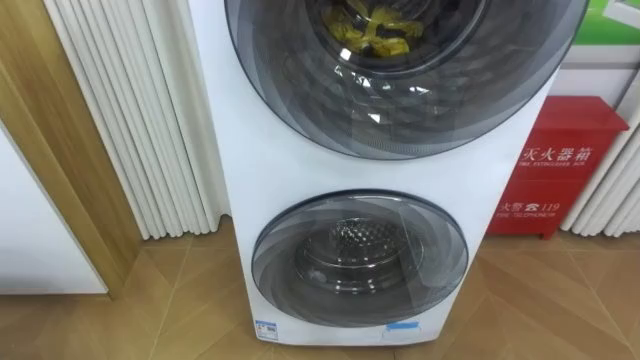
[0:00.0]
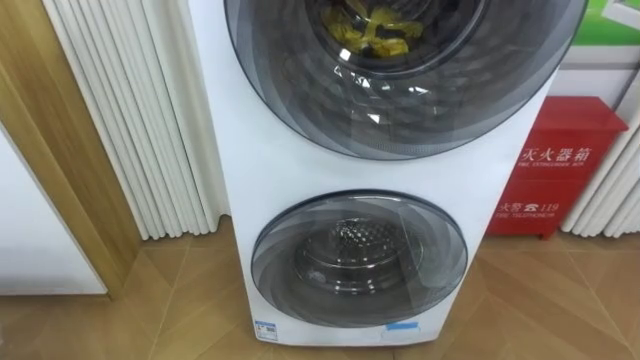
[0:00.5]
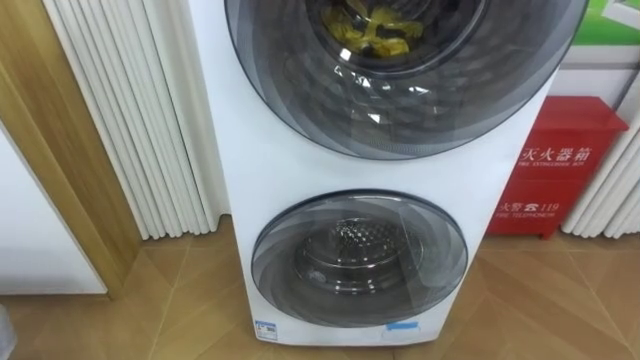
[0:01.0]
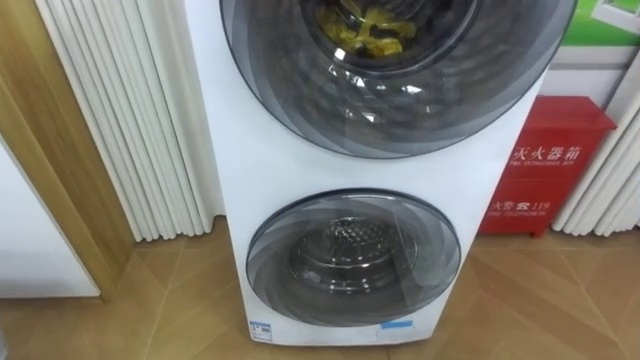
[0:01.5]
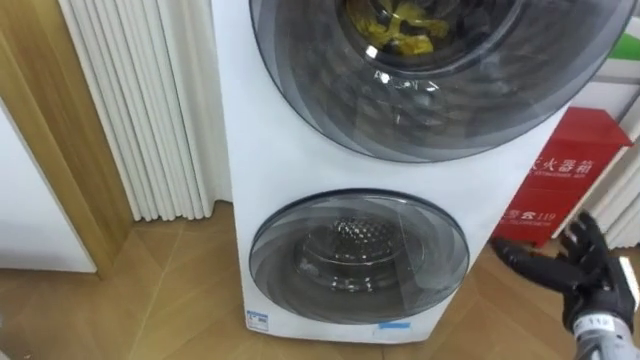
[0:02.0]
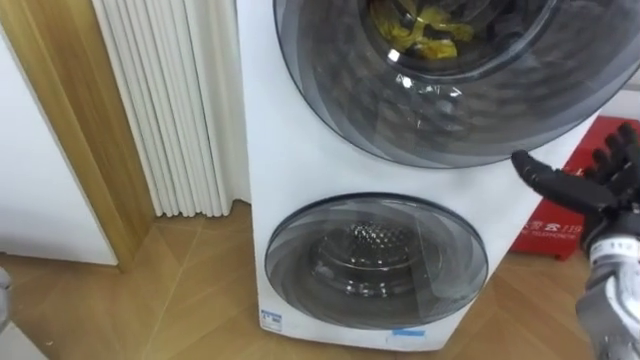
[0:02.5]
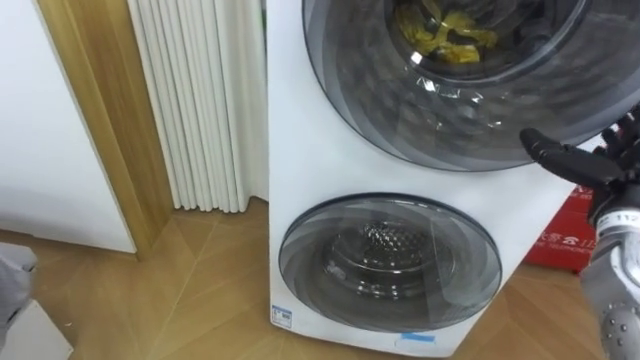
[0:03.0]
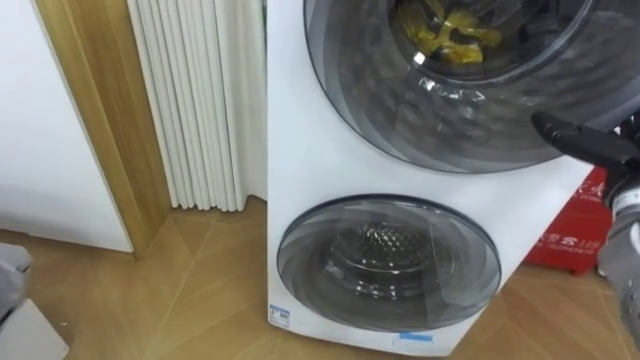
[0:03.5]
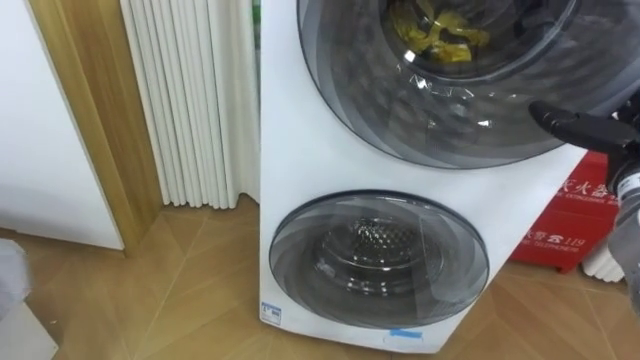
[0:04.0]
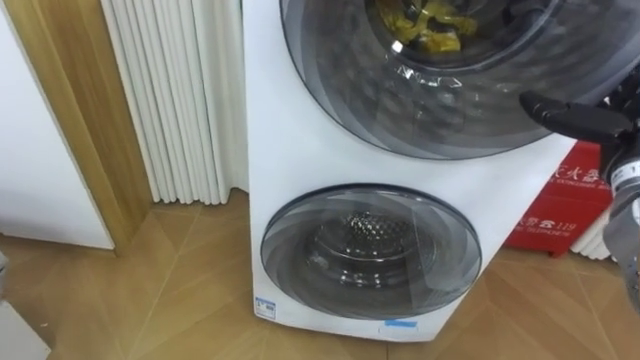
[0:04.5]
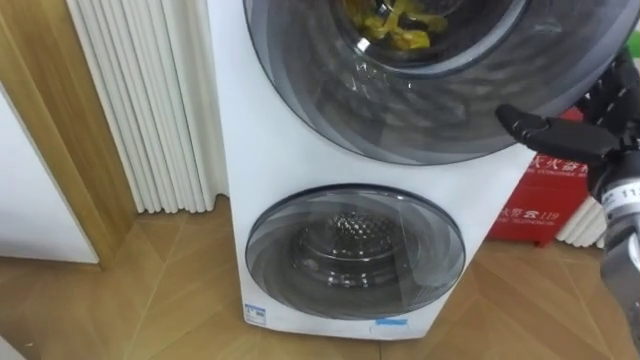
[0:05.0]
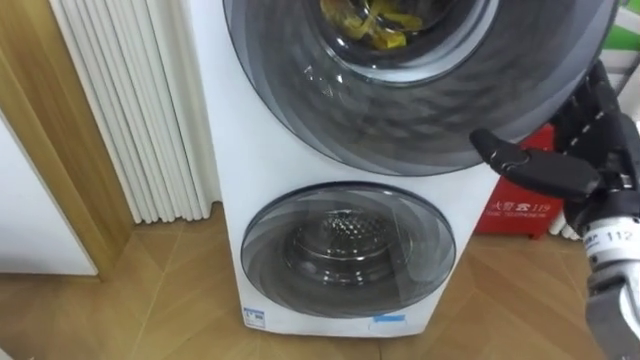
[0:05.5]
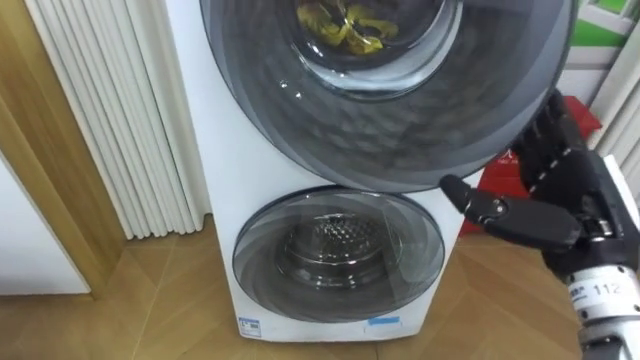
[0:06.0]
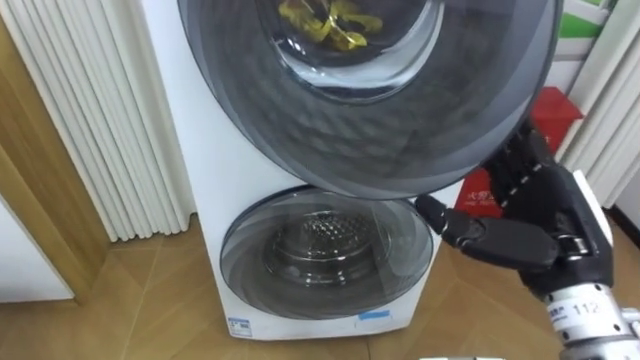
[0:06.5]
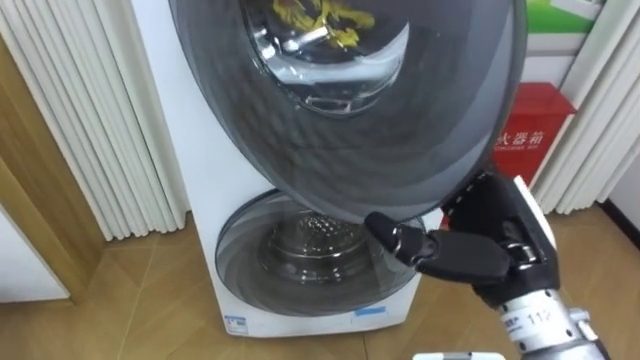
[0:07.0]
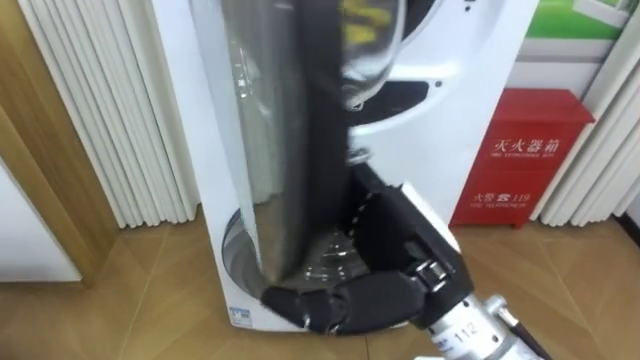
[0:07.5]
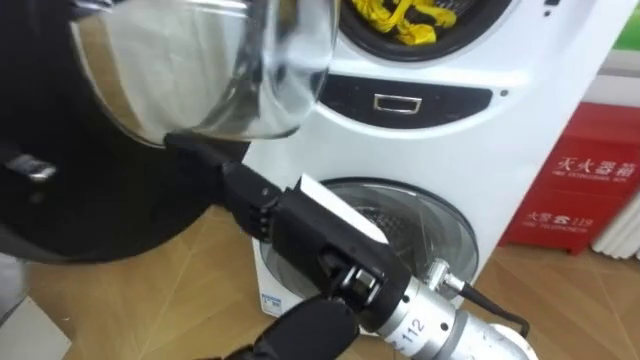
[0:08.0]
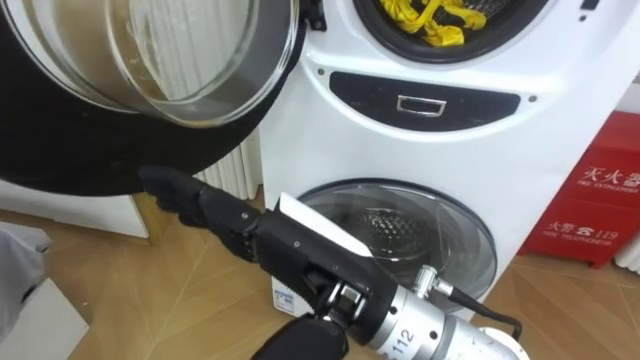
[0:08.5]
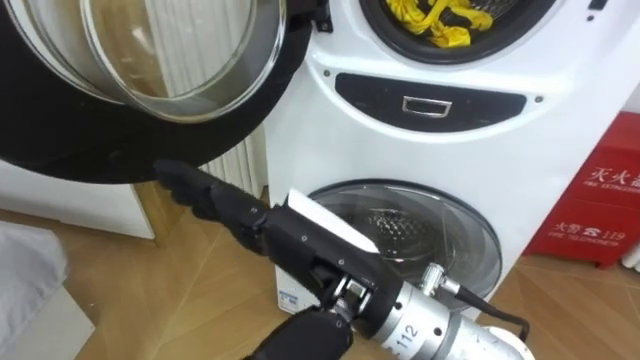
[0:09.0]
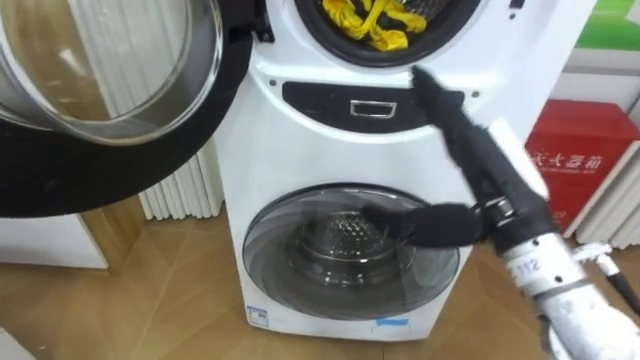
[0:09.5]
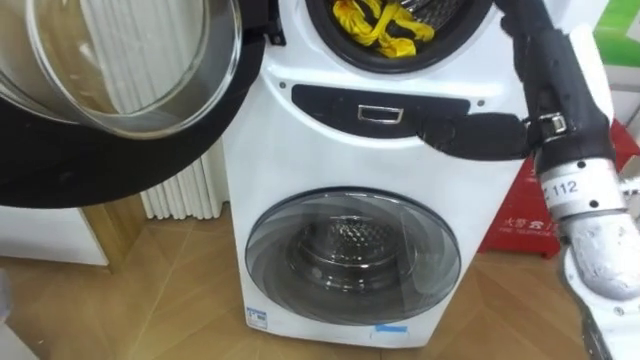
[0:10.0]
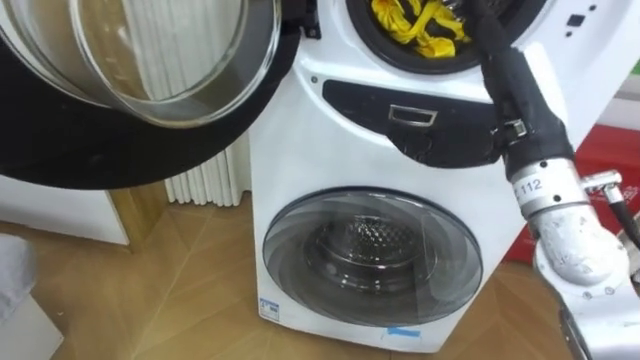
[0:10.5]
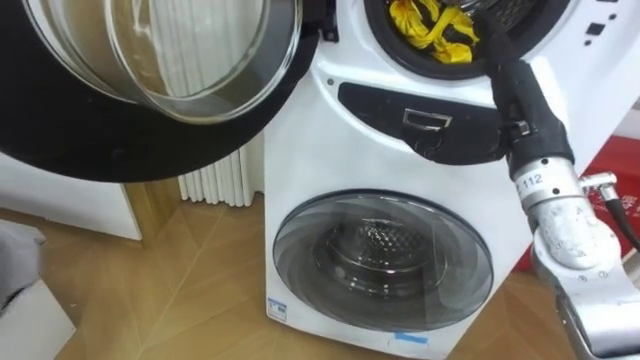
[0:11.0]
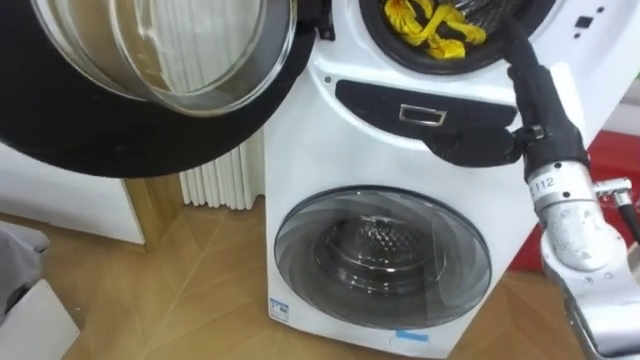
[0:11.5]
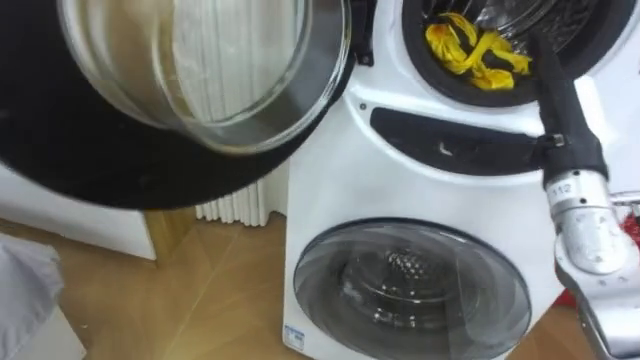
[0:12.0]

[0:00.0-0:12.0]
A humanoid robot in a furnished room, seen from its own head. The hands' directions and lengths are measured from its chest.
Task of the whole recording: Open the washing machine door, take out the yellow clothes, place them in the box on the right, and close the washing machine door.
0:04.0 to 0:06.0: The right hand travels to the left and backward by some 15 cm.
0:06.0 to 0:08.0: The right hand is displaced to the left by approximately 25 cm.
0:08.0 to 0:10.0: The right hand is displaced to the right and forward by some 20 cm.
0:10.0 to 0:12.0: The right hand travels downward by some 5 cm.

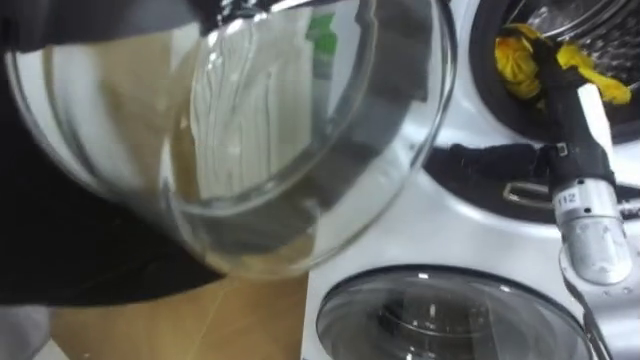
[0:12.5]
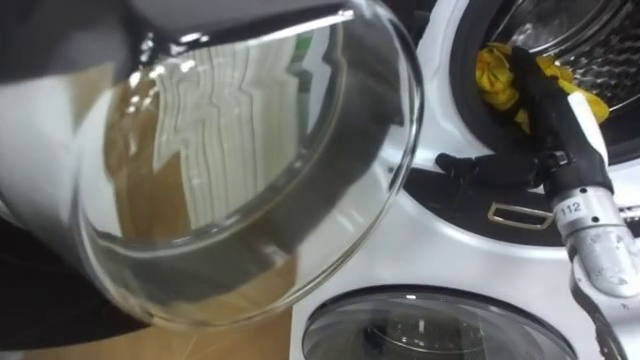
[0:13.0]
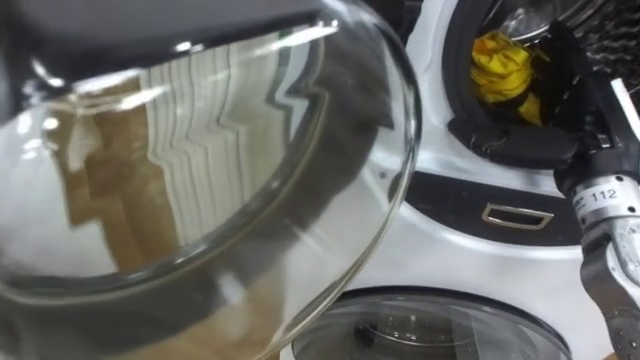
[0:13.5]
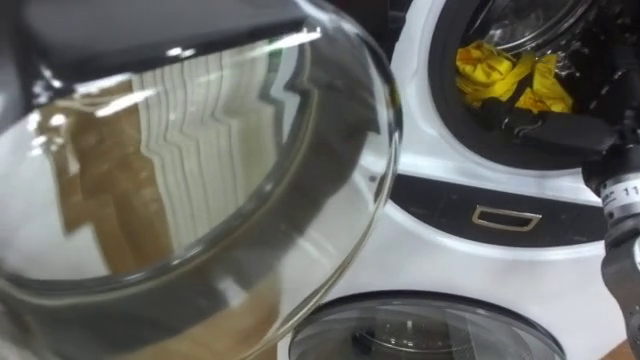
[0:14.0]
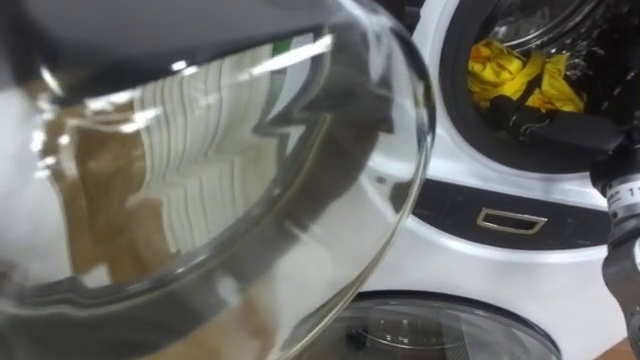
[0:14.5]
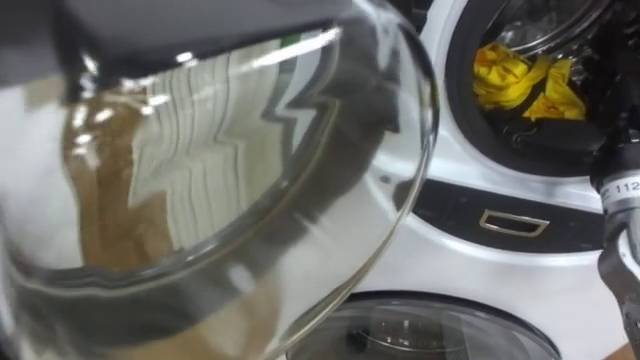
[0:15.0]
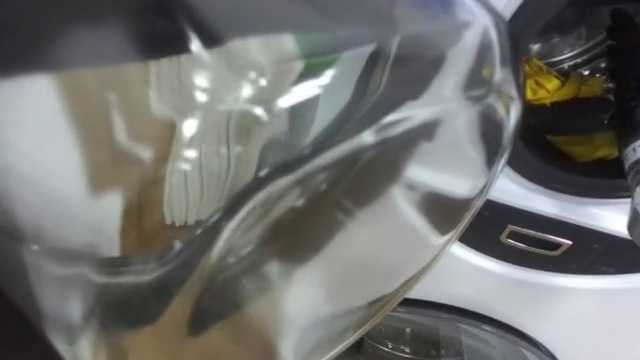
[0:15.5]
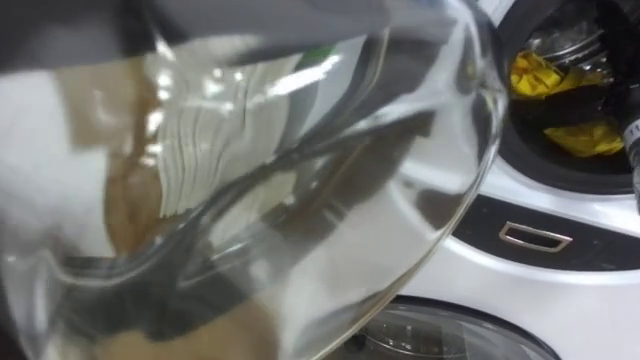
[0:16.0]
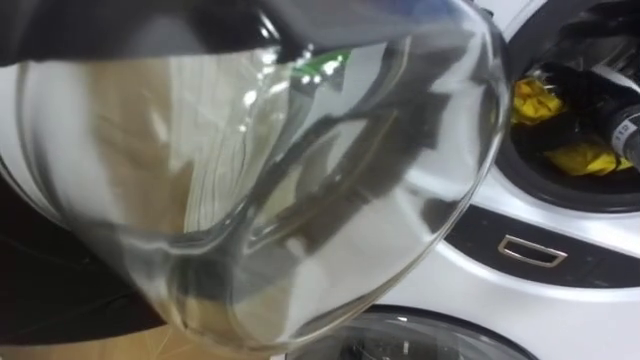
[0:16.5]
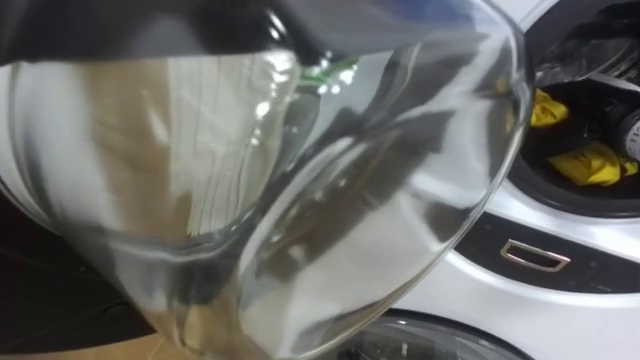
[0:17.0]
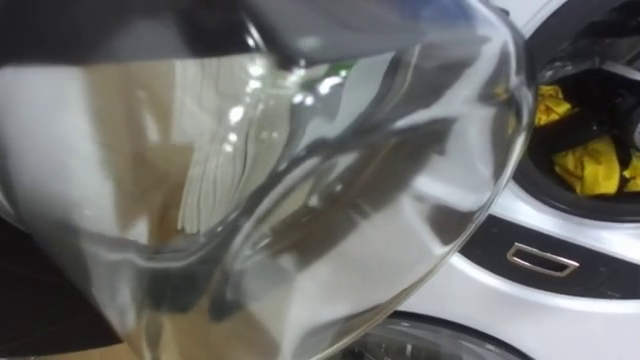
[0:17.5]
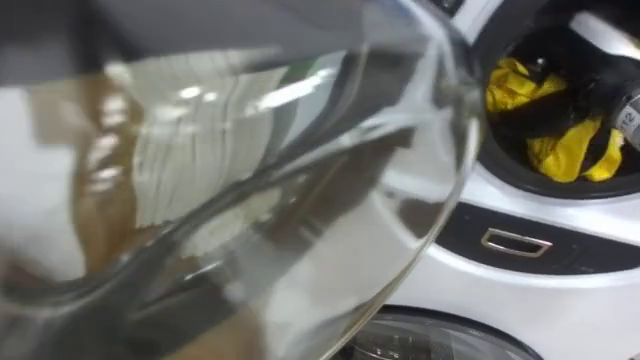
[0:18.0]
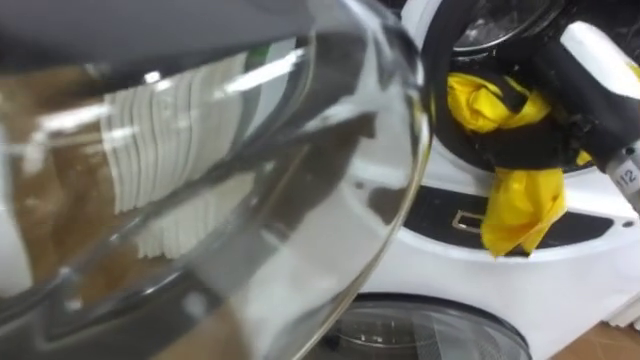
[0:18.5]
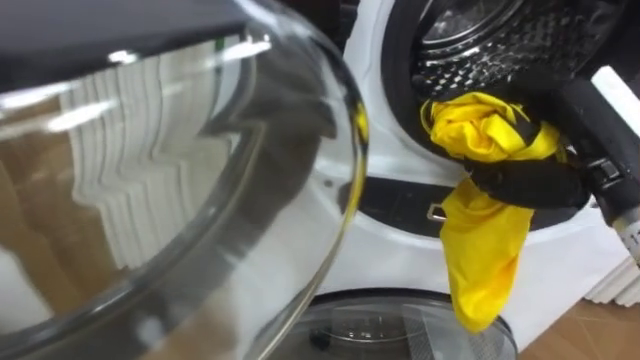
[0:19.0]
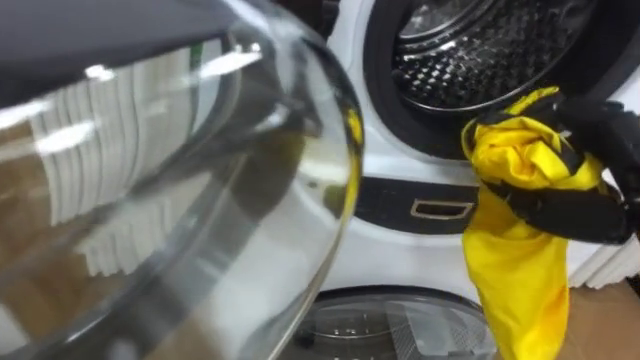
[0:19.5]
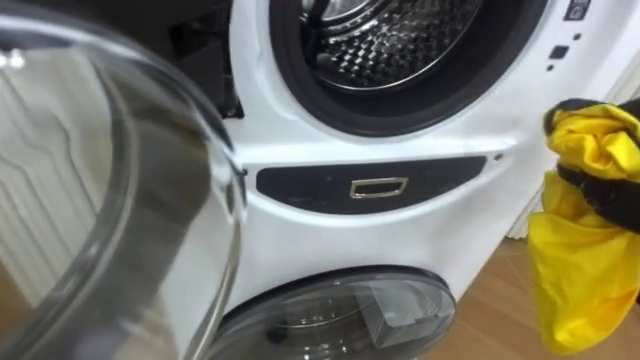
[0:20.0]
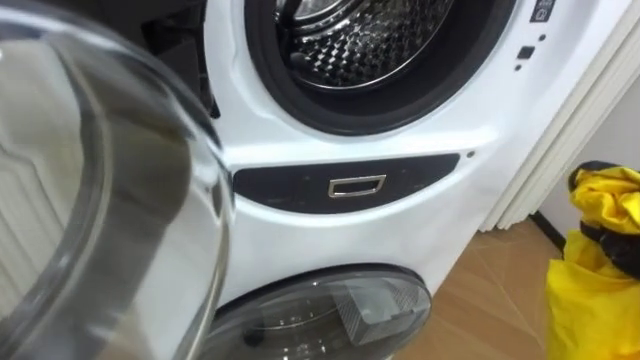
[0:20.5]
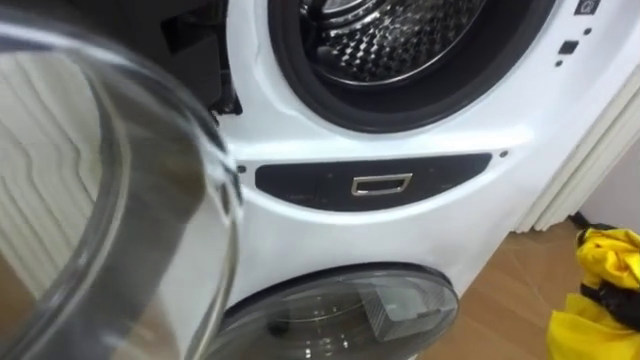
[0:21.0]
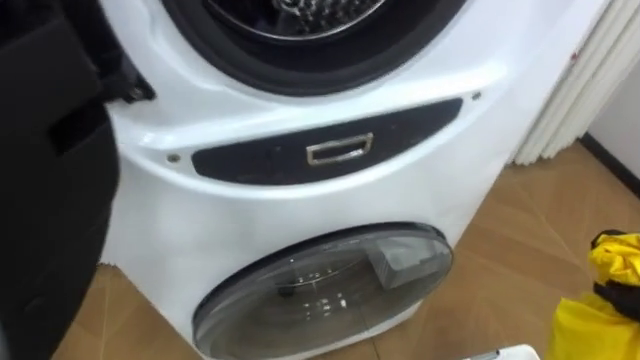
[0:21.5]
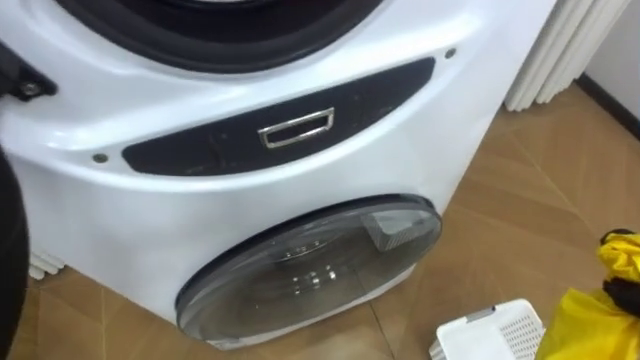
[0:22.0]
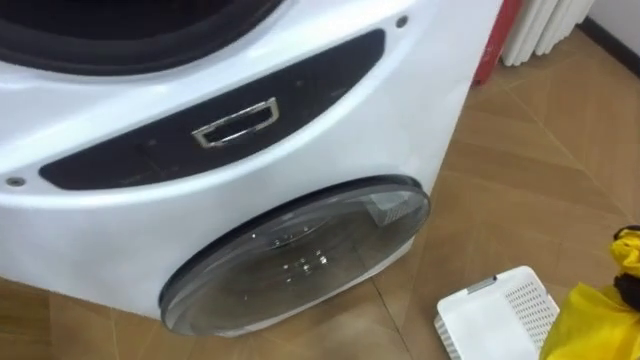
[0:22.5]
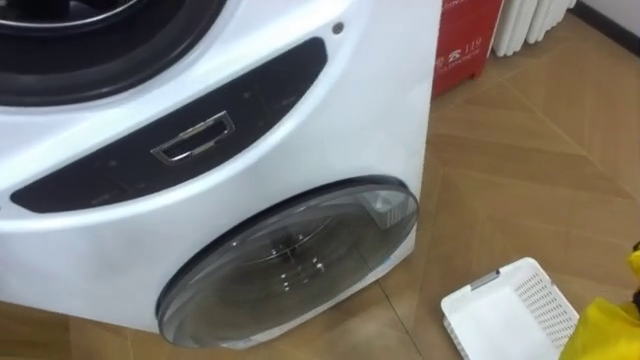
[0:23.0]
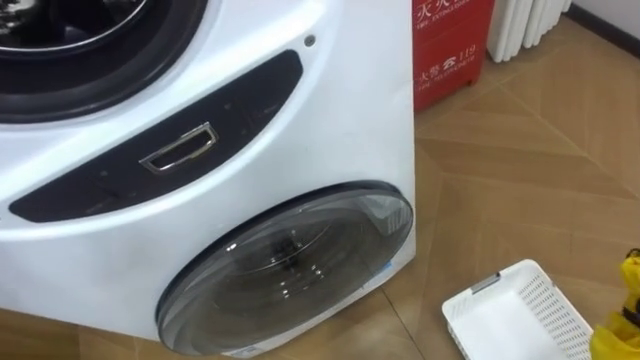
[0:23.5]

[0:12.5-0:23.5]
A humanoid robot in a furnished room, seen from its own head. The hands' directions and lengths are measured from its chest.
Task of the whole recording: Open the washing machine door, take out the yellow clothes, place them in the box on the right, and close the washing machine door.
0:12.5 to 0:14.5: The right hand changes place by about 5 cm.
0:16.0 to 0:18.0: The right hand is displaced to the left by about 5 cm, and closes.
